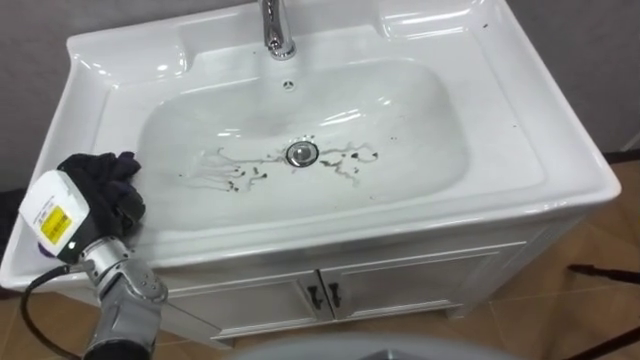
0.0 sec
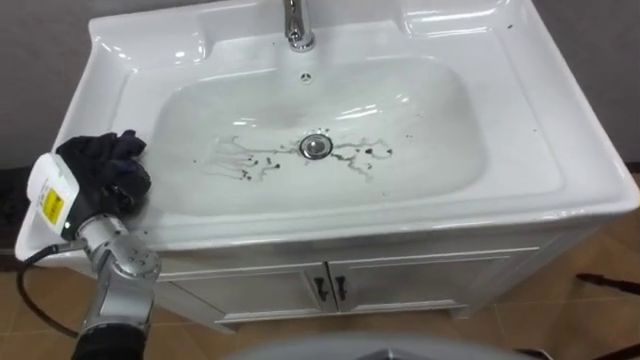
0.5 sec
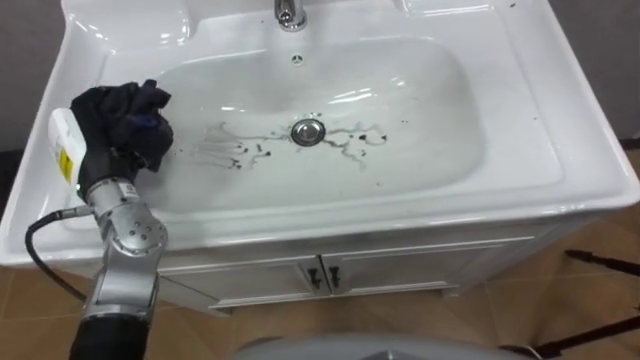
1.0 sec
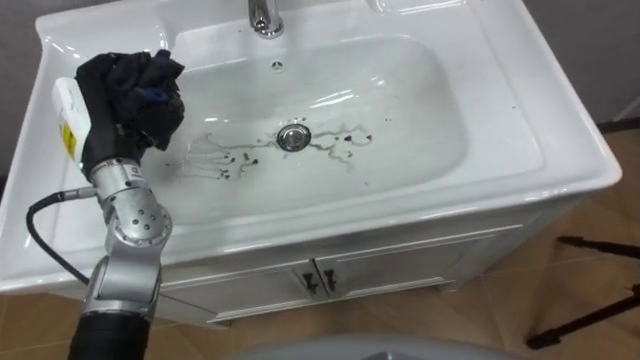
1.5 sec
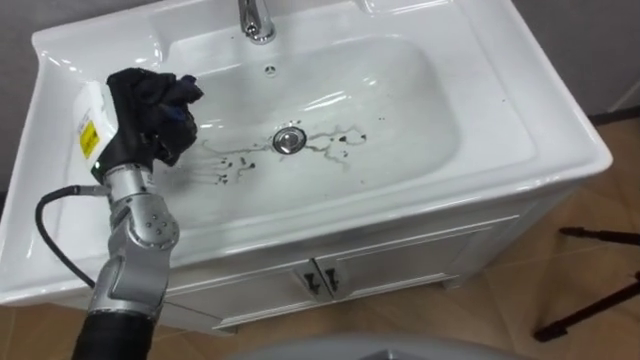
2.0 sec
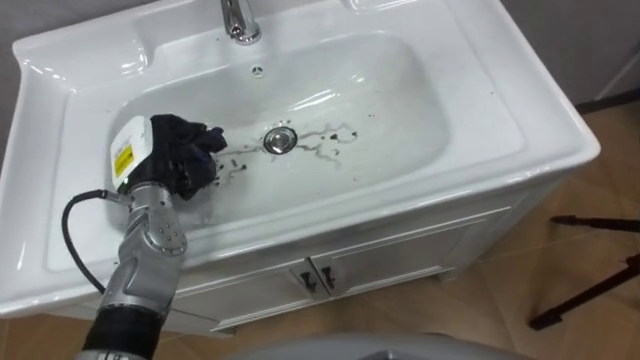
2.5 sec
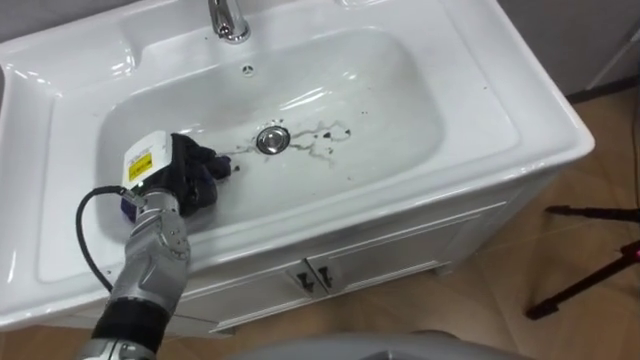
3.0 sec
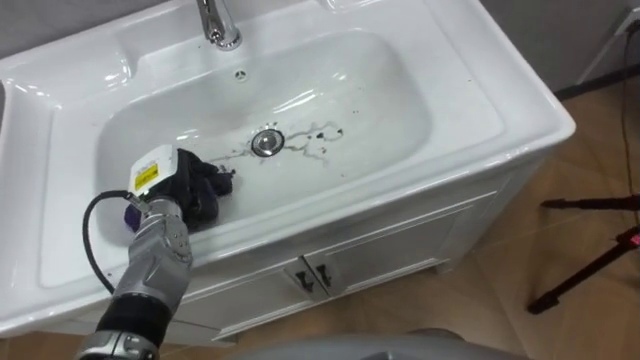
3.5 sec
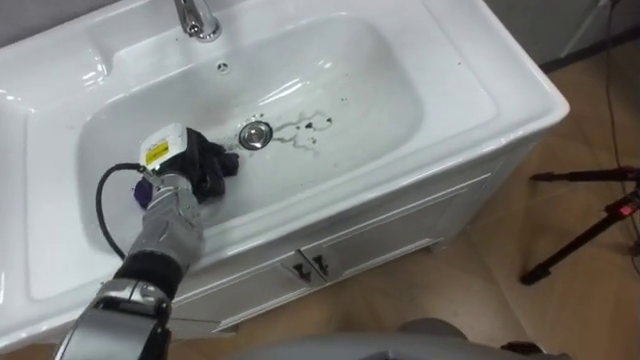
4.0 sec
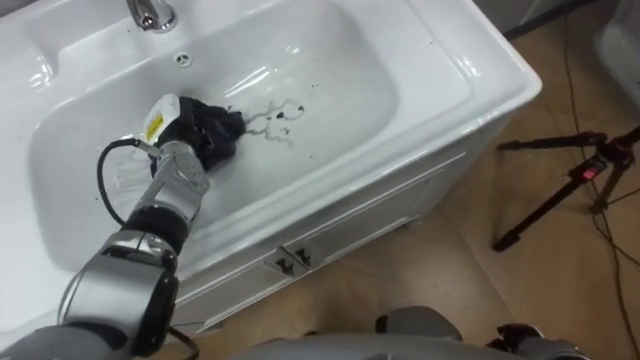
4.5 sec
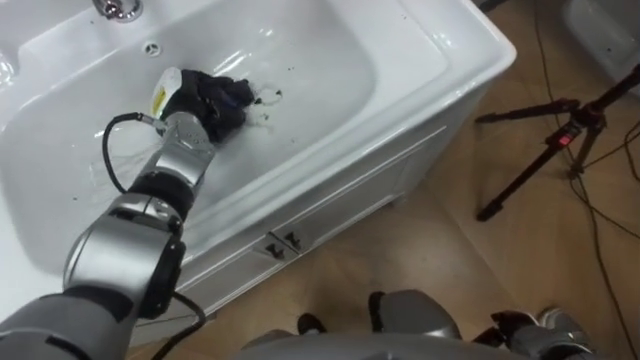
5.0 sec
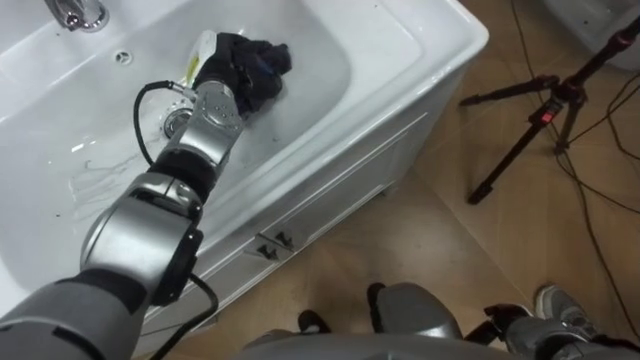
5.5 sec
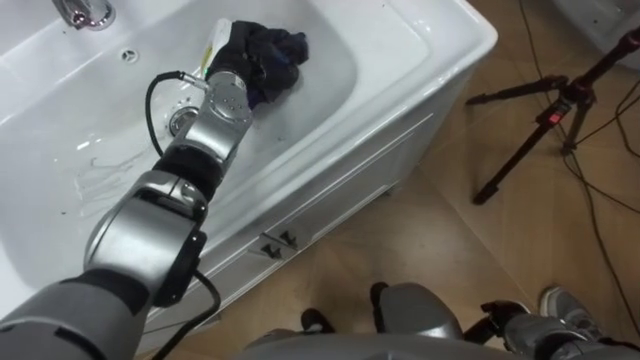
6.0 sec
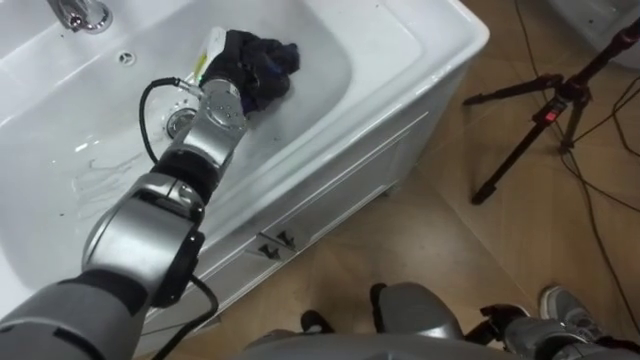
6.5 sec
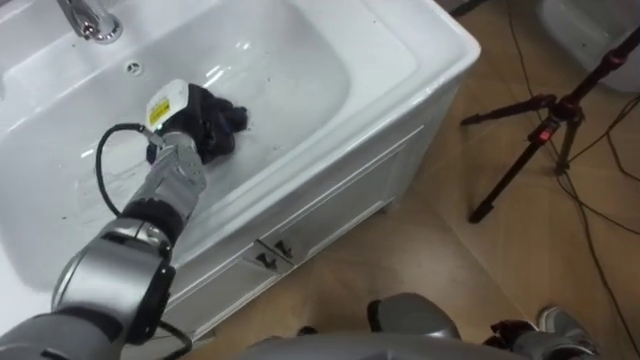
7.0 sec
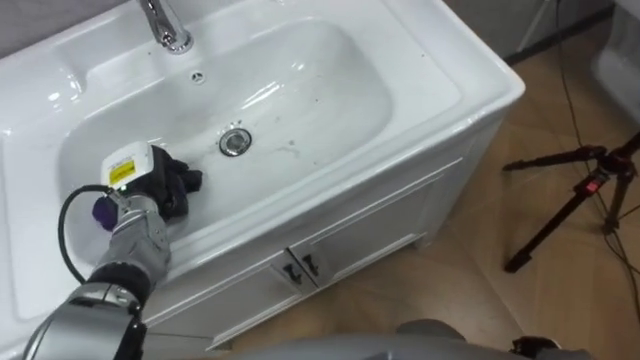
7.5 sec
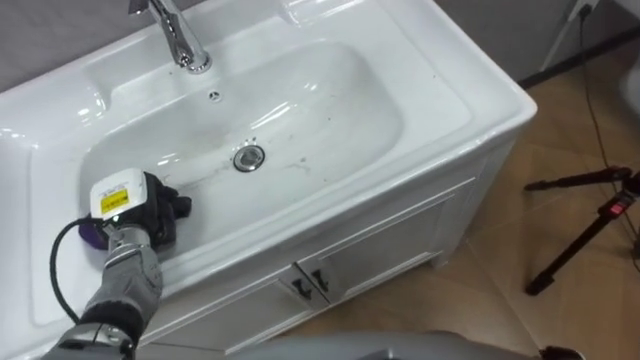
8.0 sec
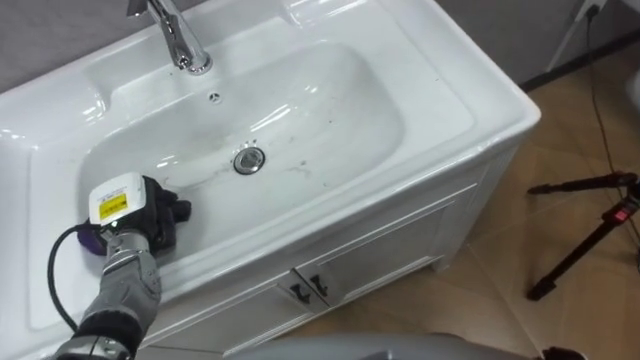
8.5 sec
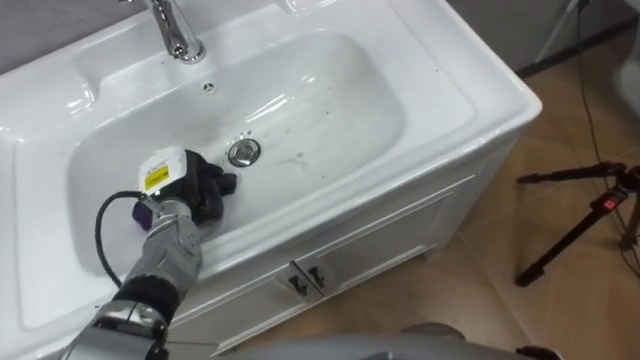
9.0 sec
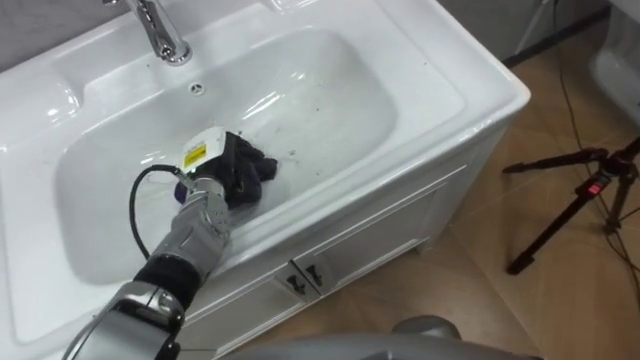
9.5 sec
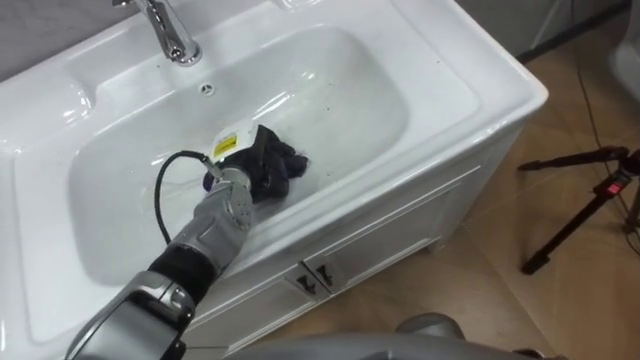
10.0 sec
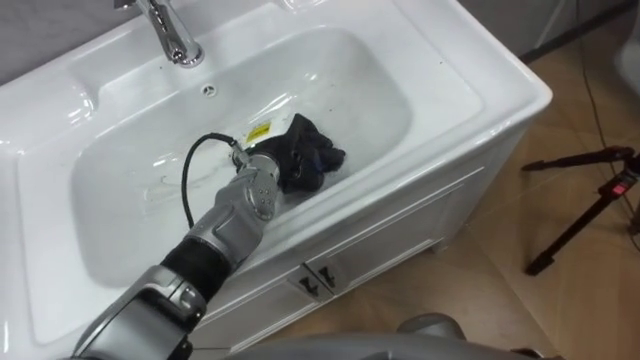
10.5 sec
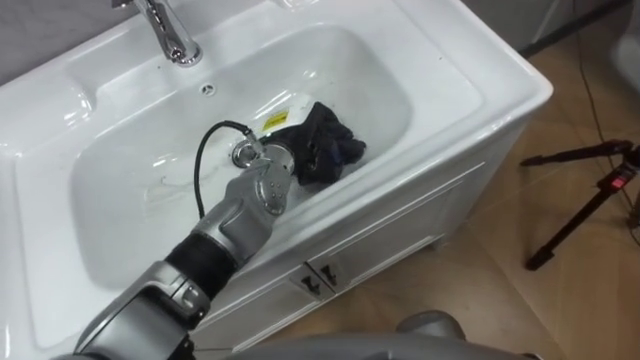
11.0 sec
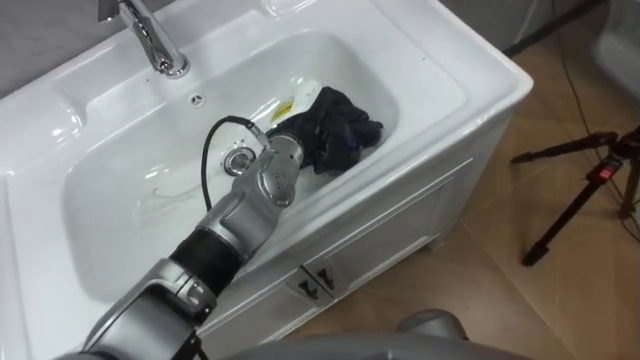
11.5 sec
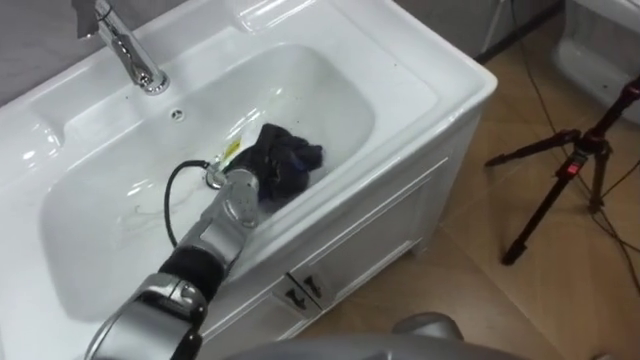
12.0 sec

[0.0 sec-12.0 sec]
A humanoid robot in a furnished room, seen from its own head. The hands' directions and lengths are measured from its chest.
Task of the whole recording: Use the cloth on the right to wipe away the black stain in the sink.
0.0 sec to 2.0 sec: The left hand is displaced forward, upward and to the right by approximately 15 cm.
2.0 sec to 4.0 sec: The left hand travels downward by roughly 10 cm.
4.0 sec to 6.0 sec: The left hand goes roughly 15 cm forward, to the right and upward.
6.0 sec to 8.0 sec: The left hand shifts roughly 25 cm backward, to the left and downward.
8.0 sec to 10.0 sec: The left hand is displaced to the right and forward by some 20 cm.
10.0 sec to 12.0 sec: The left hand goes to the right and returns, roughly 10 cm each way.

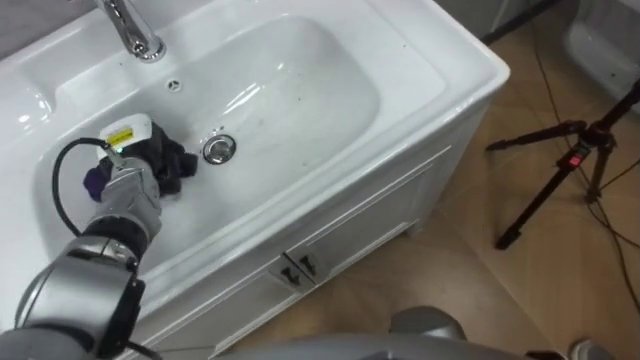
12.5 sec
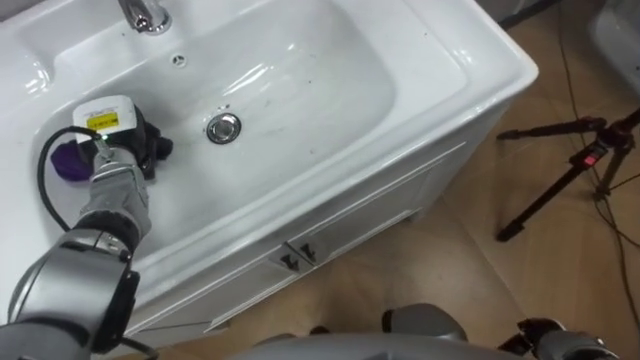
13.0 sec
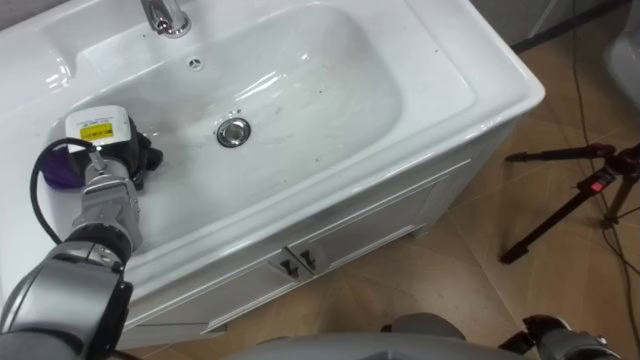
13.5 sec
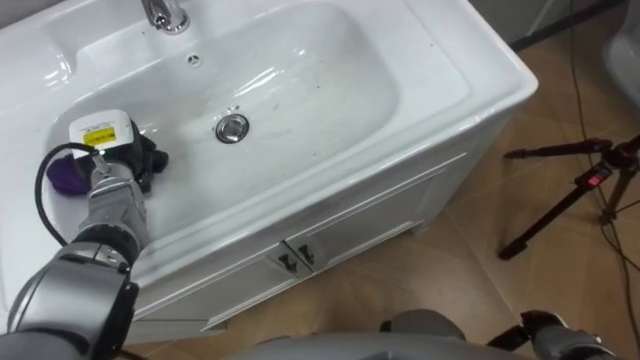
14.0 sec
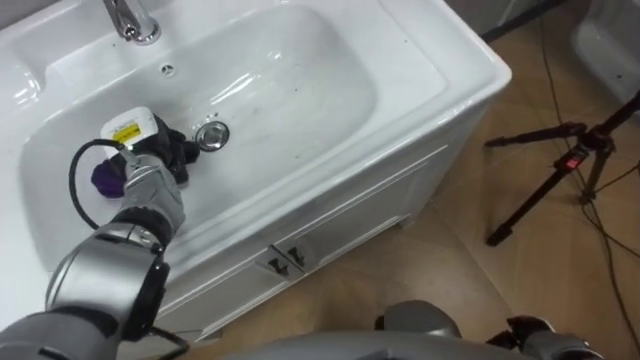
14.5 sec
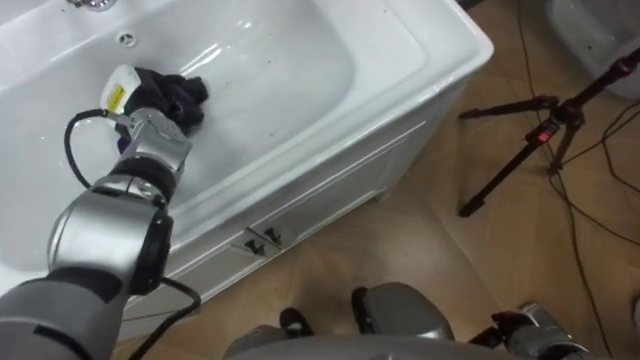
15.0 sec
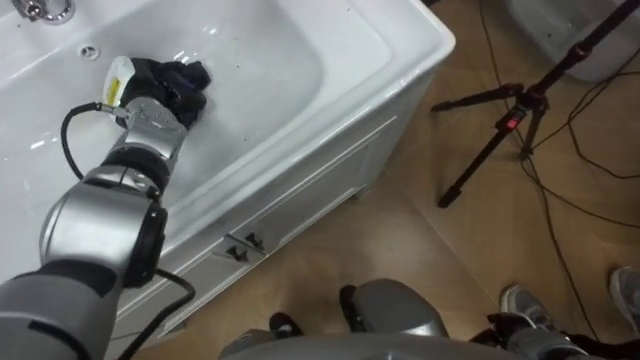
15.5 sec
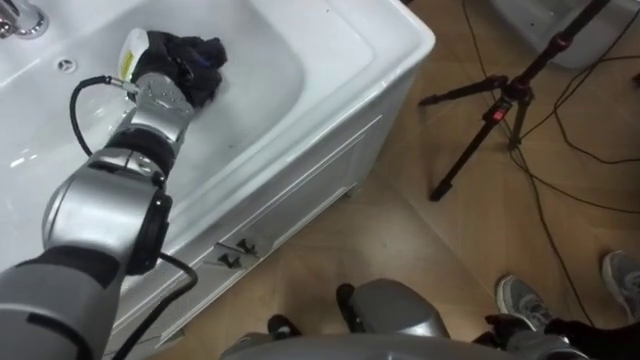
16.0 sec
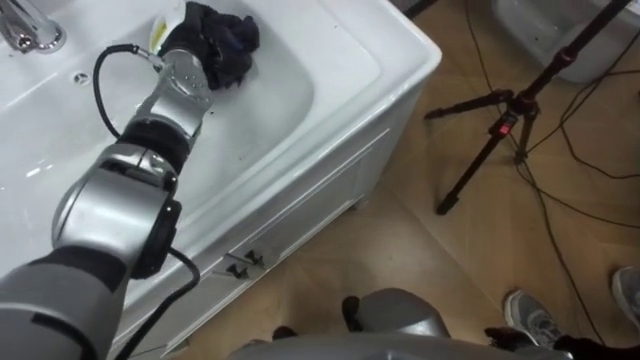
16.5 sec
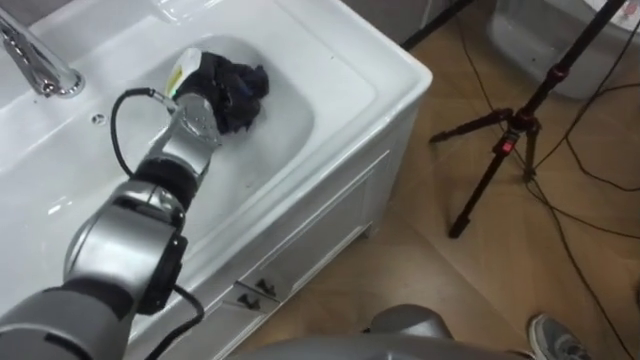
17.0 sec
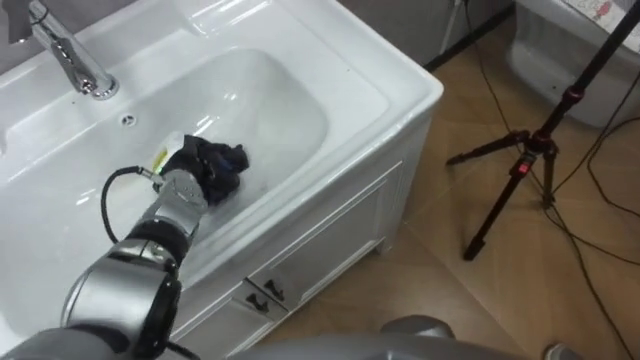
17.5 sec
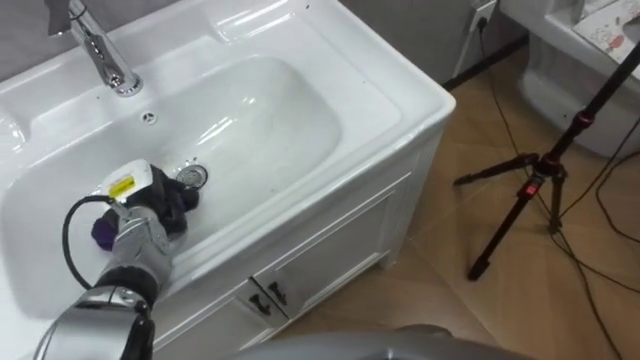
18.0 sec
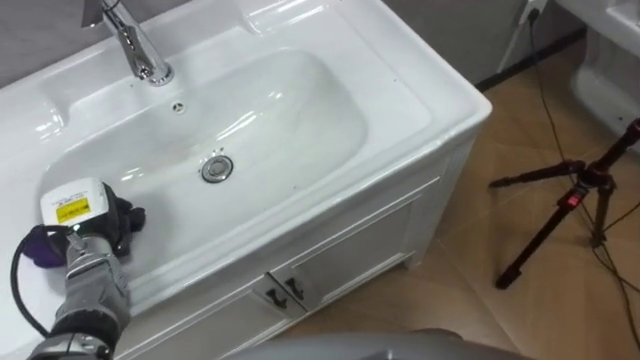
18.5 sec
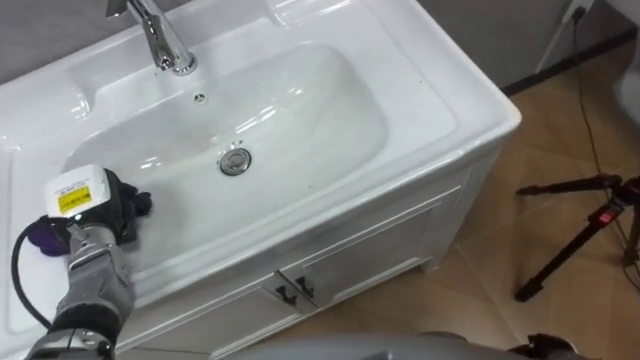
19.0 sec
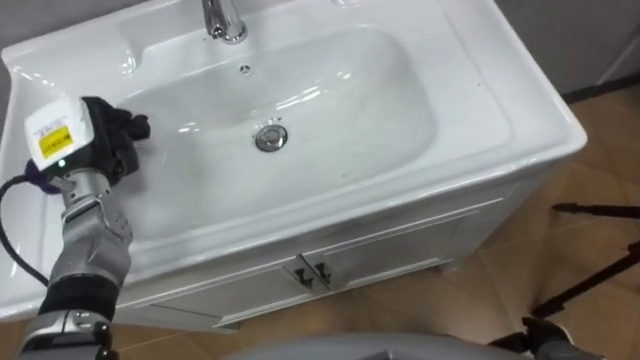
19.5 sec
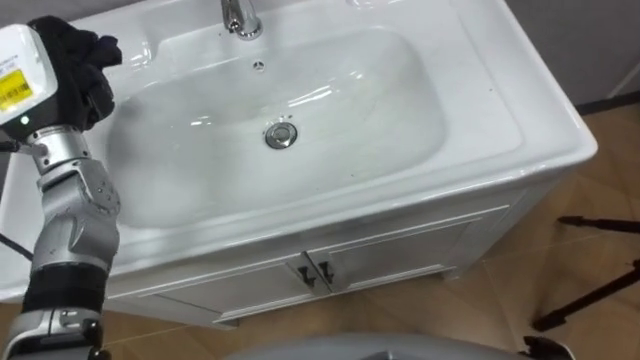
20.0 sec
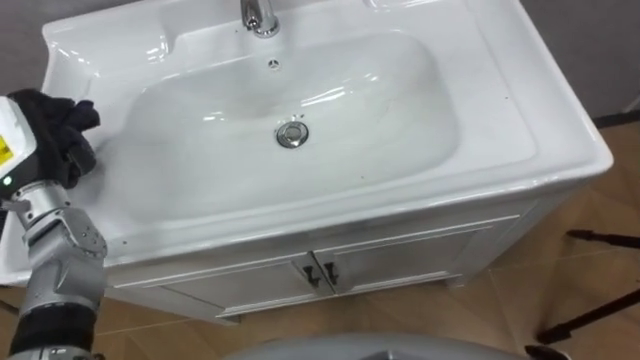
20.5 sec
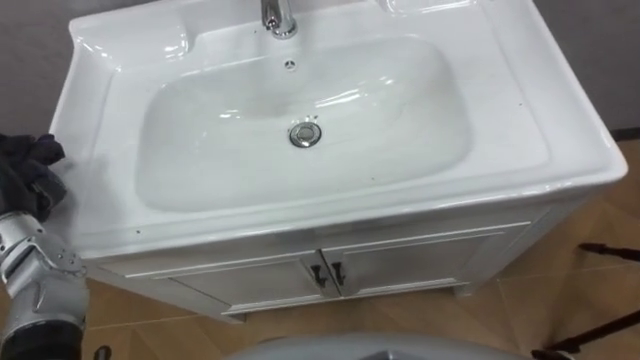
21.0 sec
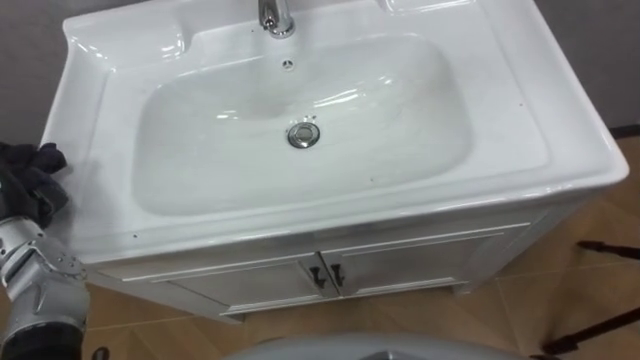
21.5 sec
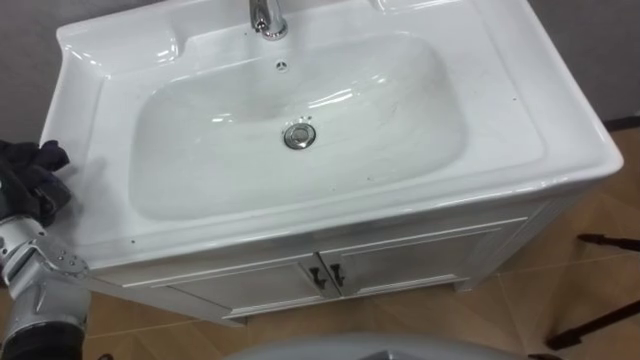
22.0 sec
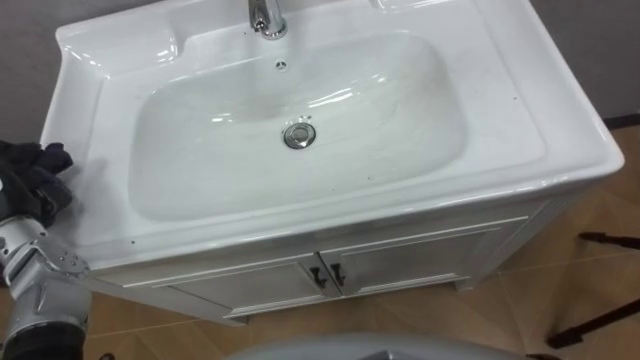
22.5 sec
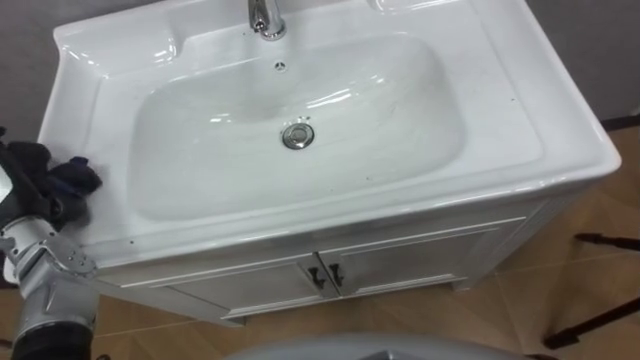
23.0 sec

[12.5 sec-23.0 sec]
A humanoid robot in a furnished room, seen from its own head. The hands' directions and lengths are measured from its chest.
Task of the whole recording: Use the cloth on the right to wipe away the black stain in the sink.
14.5 sec to 16.5 sec: The left hand is displaced upward, forward and to the right by roughly 15 cm.
16.5 sec to 19.0 sec: The left hand is displaced backward, to the left and downward by roughly 25 cm.
